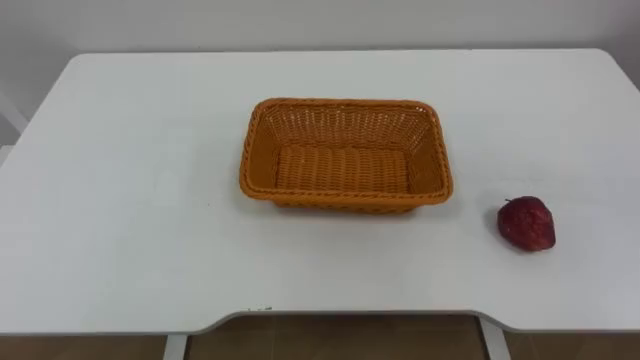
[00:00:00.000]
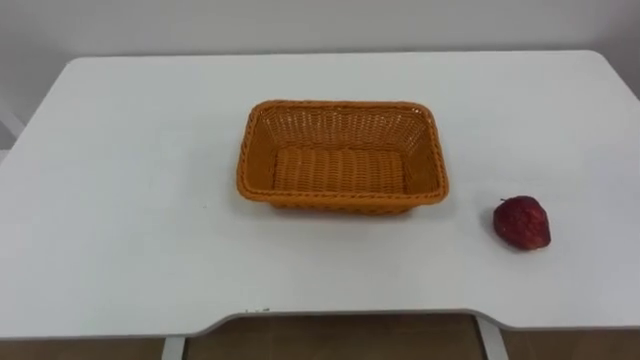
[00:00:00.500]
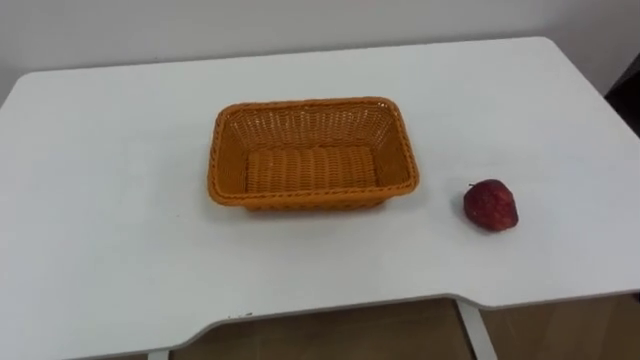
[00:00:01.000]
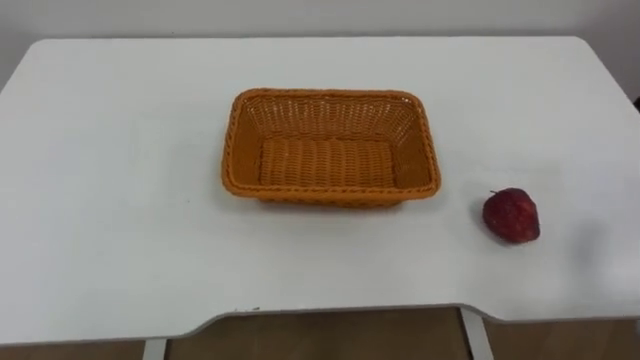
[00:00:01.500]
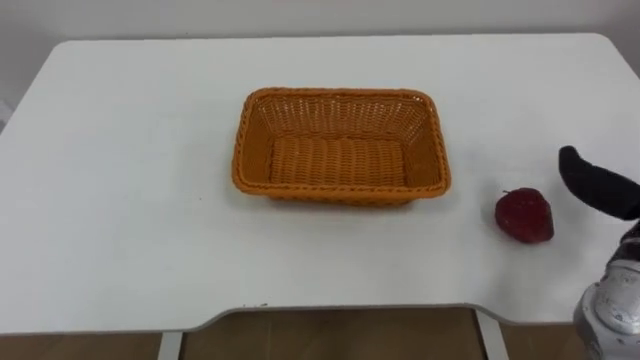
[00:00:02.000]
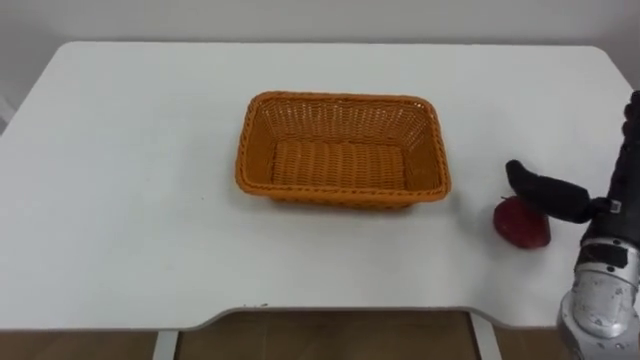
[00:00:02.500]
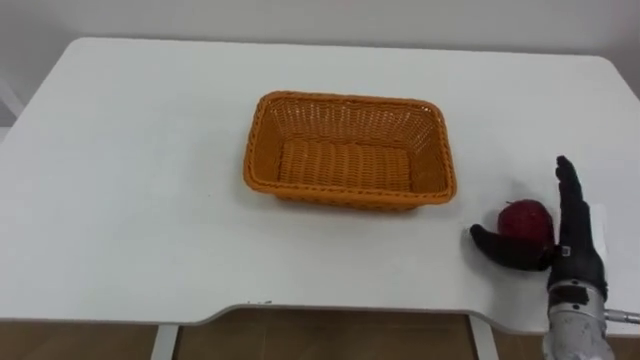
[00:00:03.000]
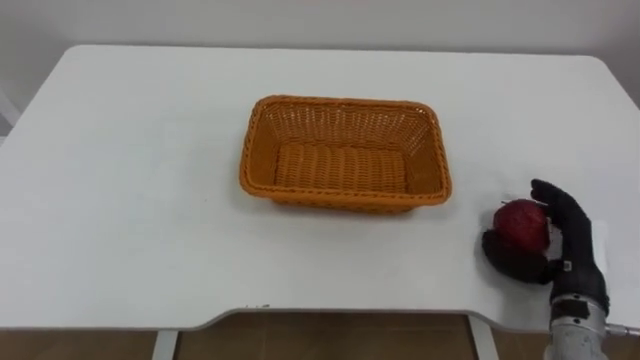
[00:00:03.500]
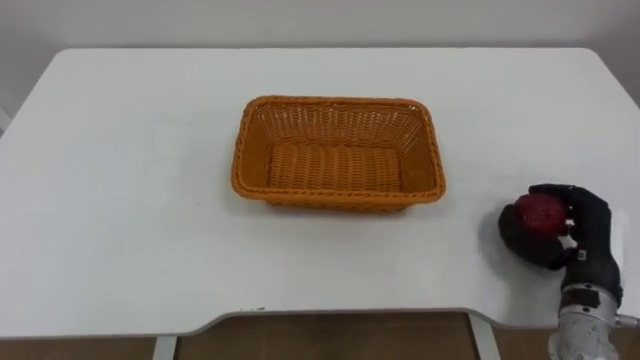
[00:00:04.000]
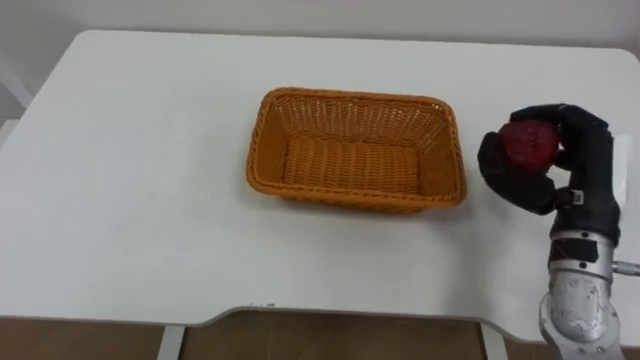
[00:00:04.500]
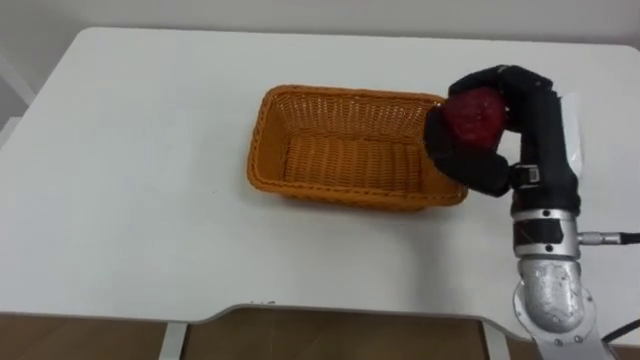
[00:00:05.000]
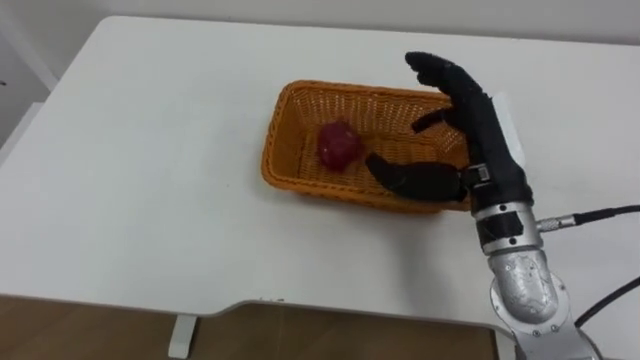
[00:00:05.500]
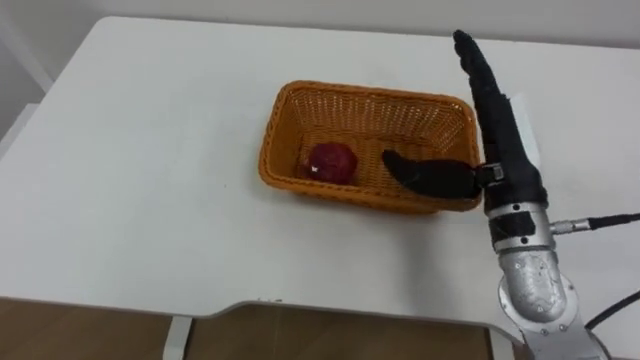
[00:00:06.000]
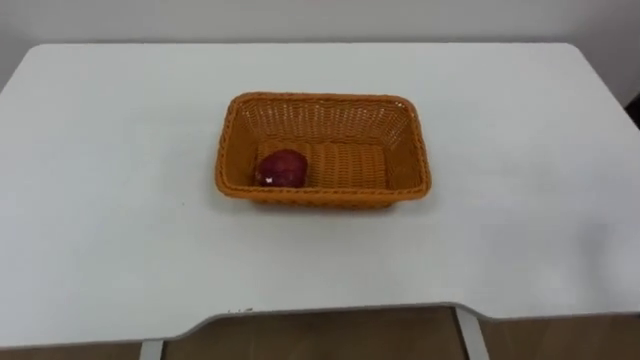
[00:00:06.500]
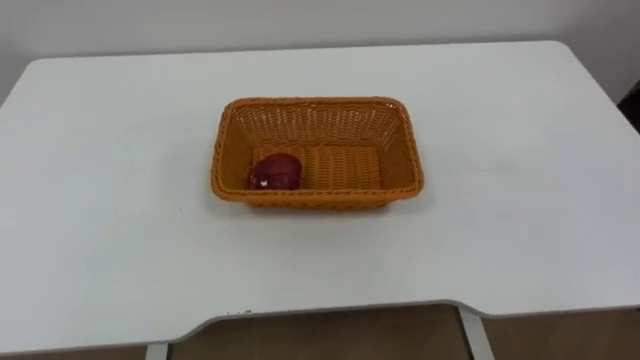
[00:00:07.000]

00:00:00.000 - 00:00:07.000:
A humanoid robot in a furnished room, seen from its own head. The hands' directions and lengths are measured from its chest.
Task of the whole recording: Pick the apple and place it in the box.
00:00:03.500 - 00:00:05.000: The right hand shifts roughly 20 cm upward and to the left, and closes up.
